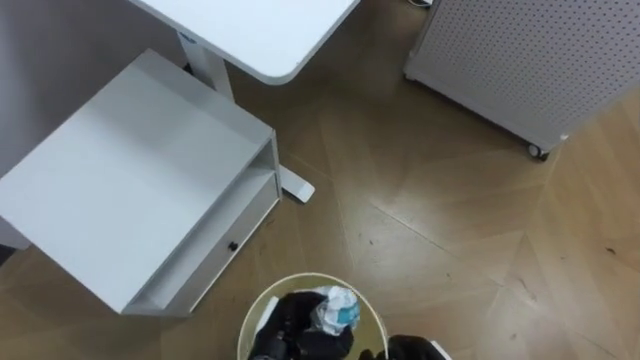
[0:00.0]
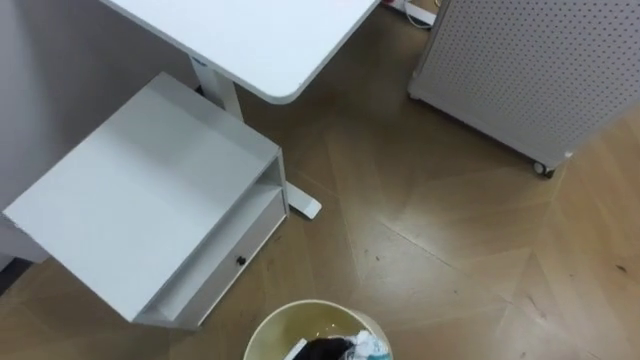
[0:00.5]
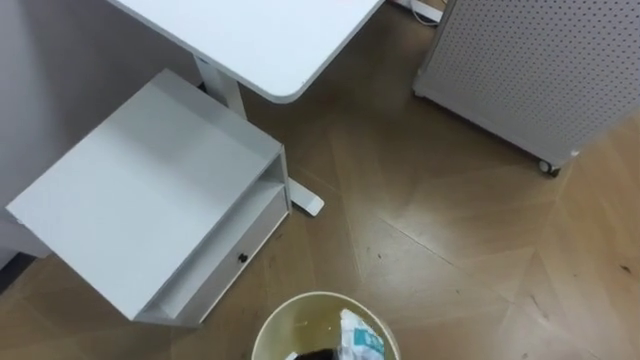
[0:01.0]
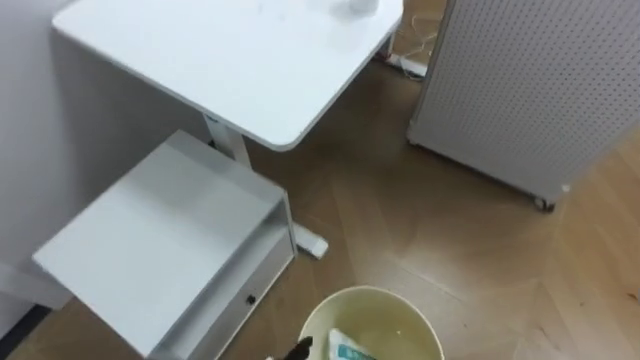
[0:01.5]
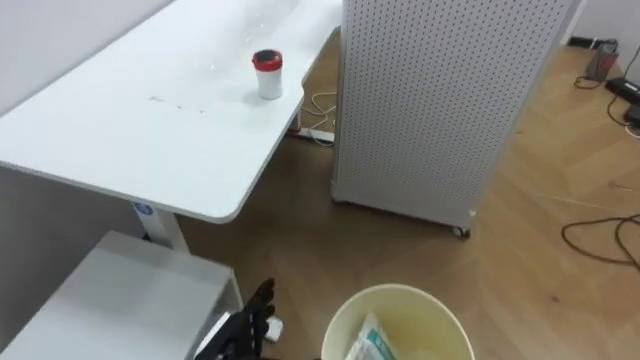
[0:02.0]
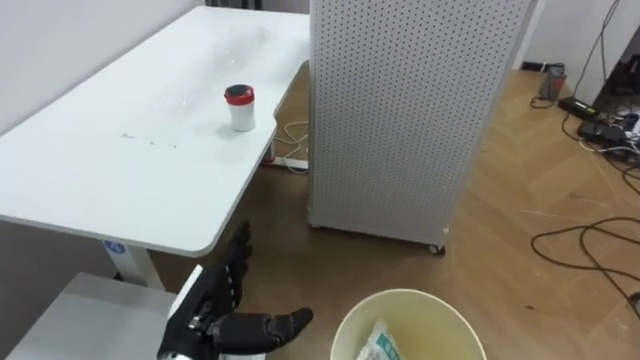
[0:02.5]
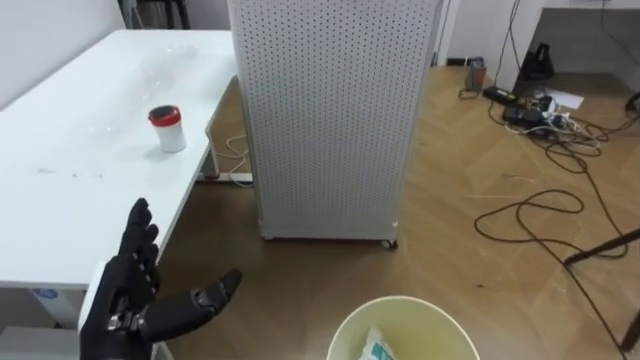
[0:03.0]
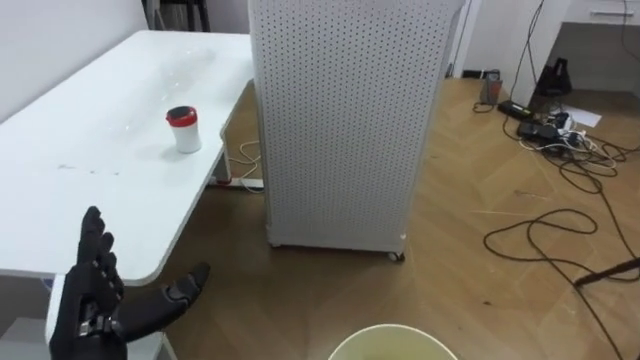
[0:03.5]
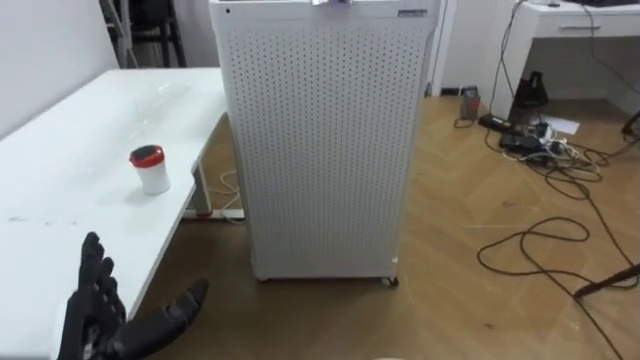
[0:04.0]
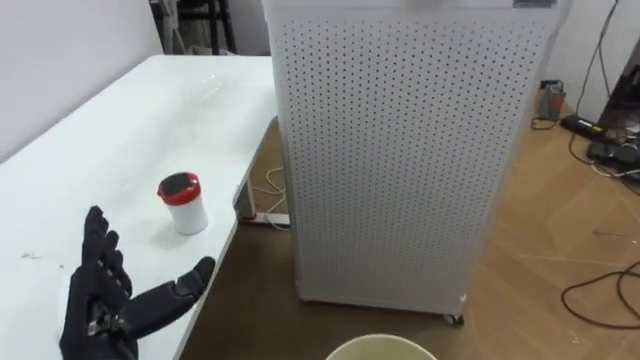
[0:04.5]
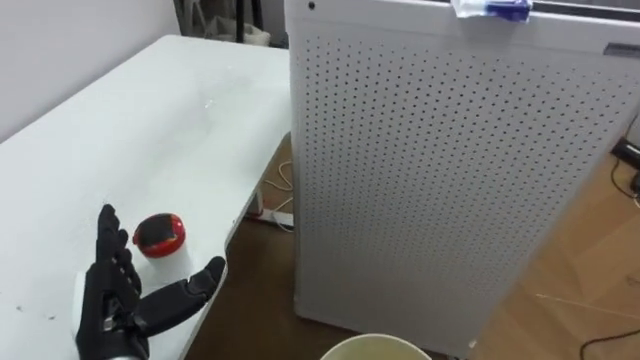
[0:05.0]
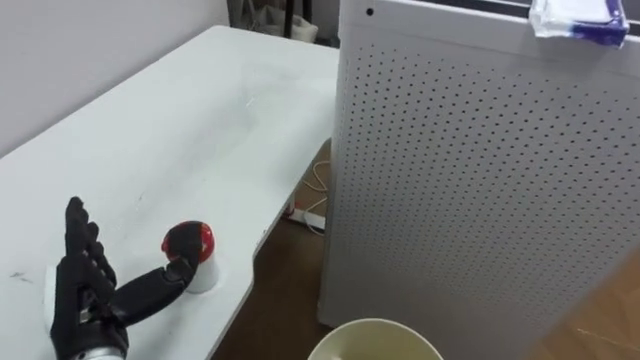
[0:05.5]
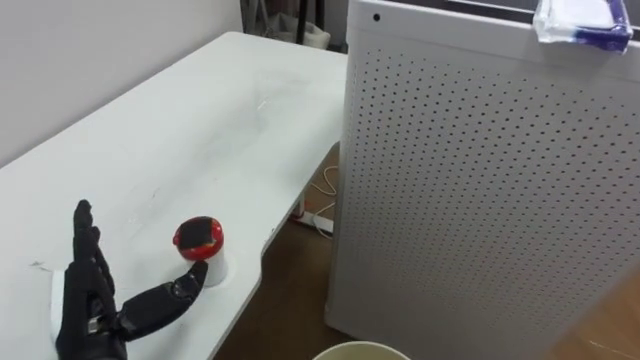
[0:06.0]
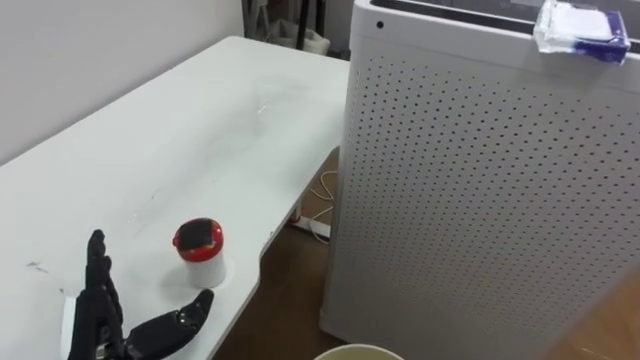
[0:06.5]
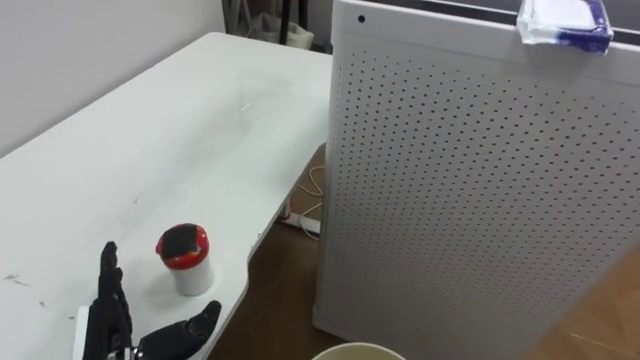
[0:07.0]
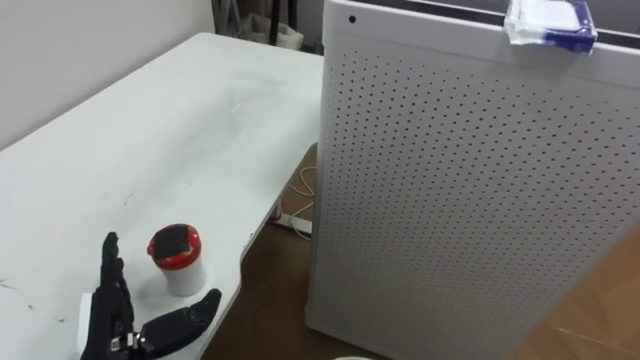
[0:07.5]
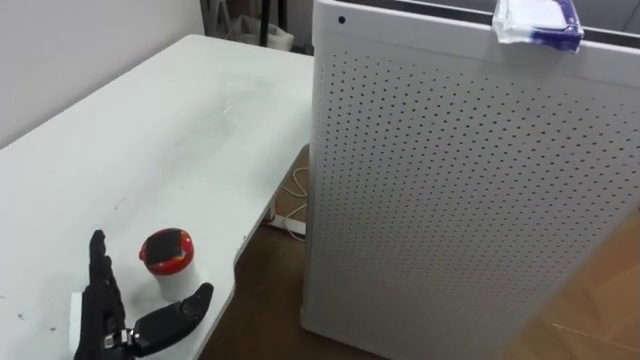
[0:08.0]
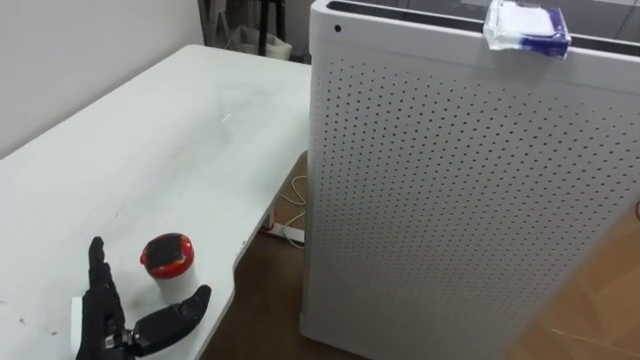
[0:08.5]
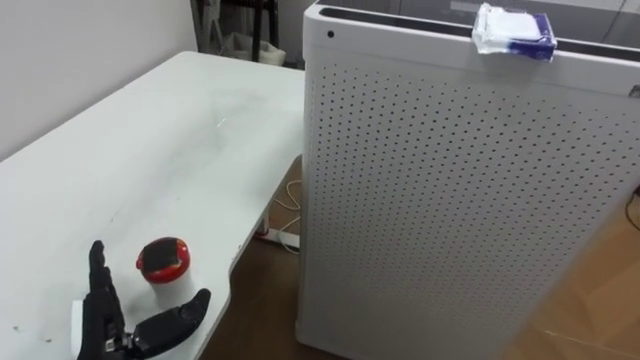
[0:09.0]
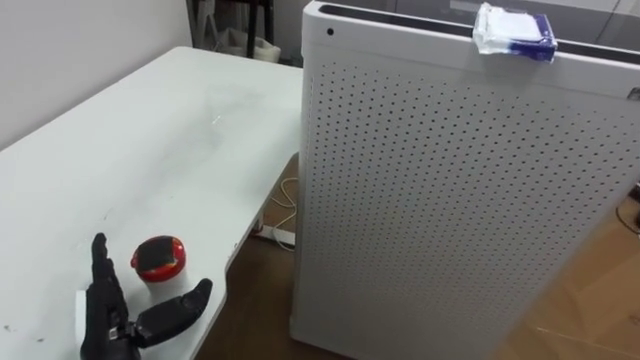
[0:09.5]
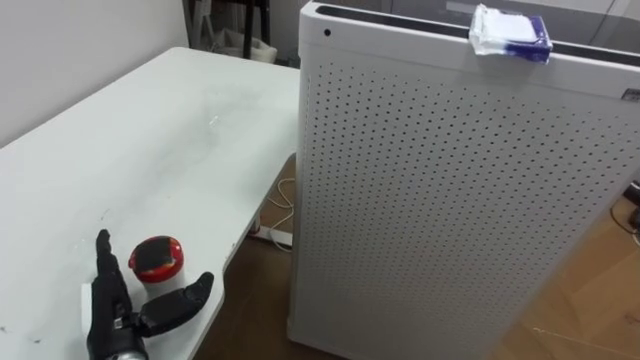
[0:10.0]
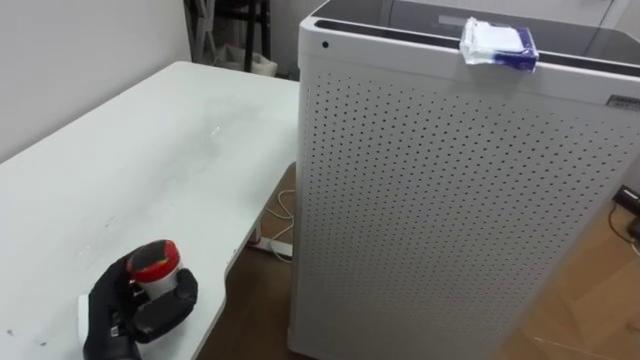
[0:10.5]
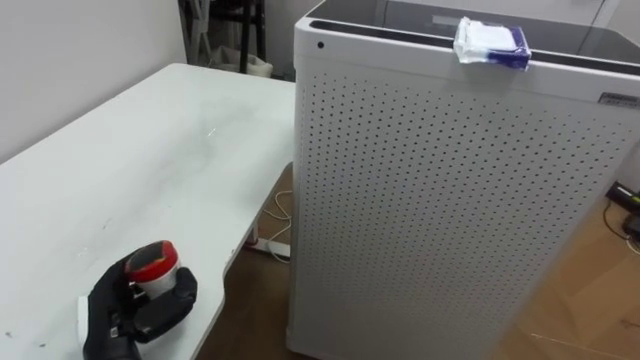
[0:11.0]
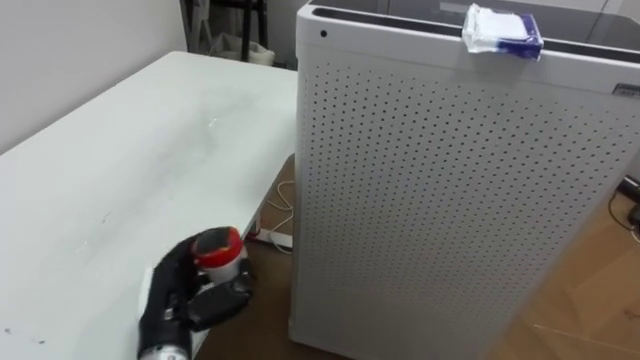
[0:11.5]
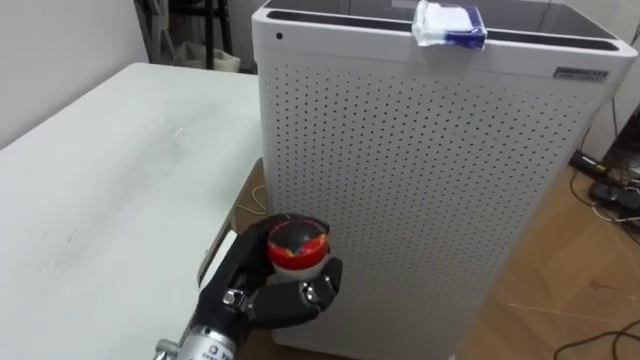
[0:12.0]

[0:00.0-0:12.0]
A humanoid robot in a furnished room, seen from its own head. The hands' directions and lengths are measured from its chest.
Task of the whole recording: Pick up the light blue package, the candy box, and the dark blue package separately, and put them into the trash can held in your right hand.
0:00.0 to 0:02.0: The robot rotates roughly 15 degrees to its right.
0:02.0 to 0:04.0: The left hand shifts approximately 15 cm to the left and upward.
0:04.0 to 0:06.0: The robot turns to its left by about 20 degrees.
0:10.0 to 0:12.0: The left hand heads to the right and upward, covering about 15 cm, and closes.

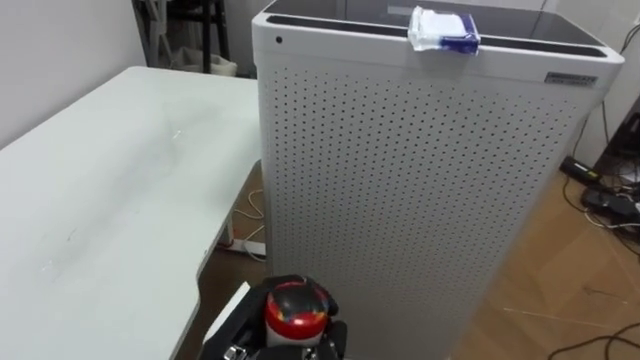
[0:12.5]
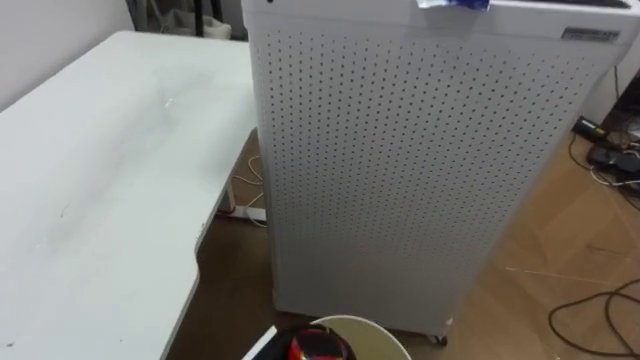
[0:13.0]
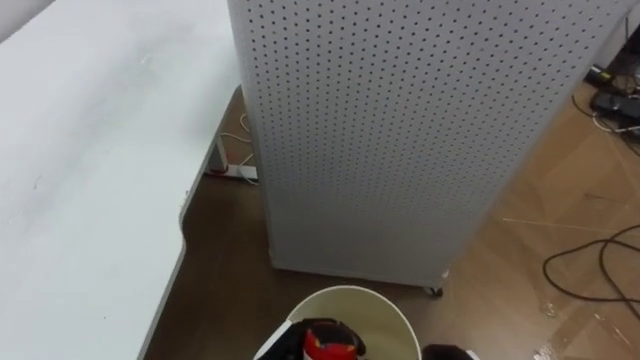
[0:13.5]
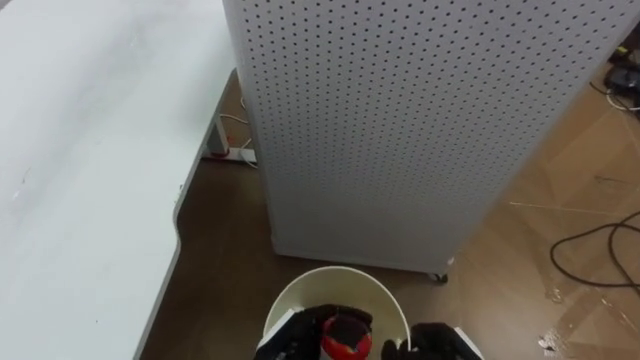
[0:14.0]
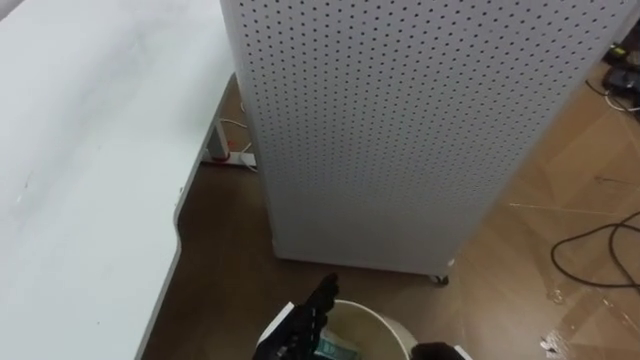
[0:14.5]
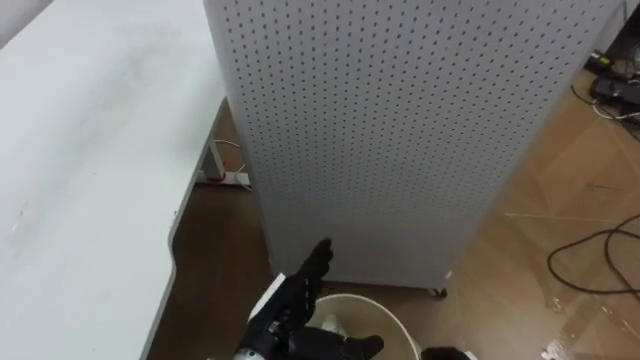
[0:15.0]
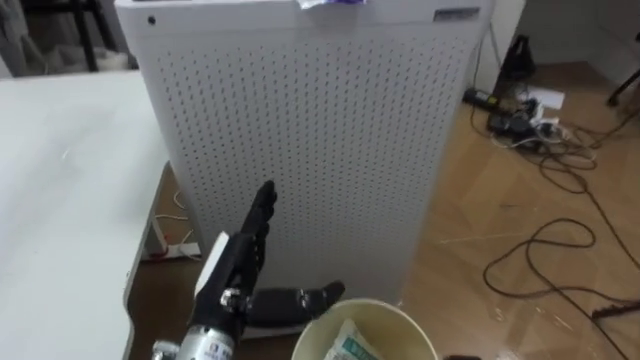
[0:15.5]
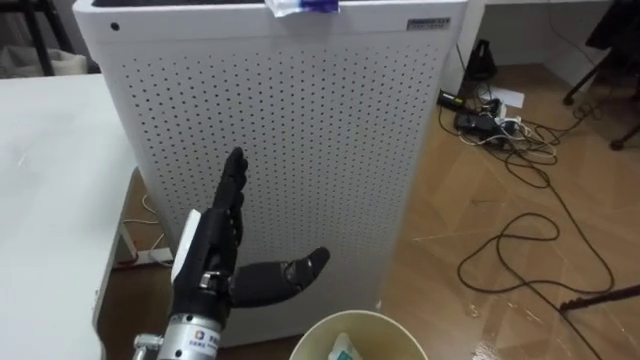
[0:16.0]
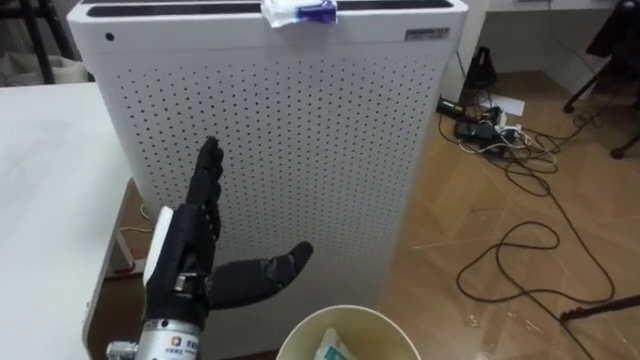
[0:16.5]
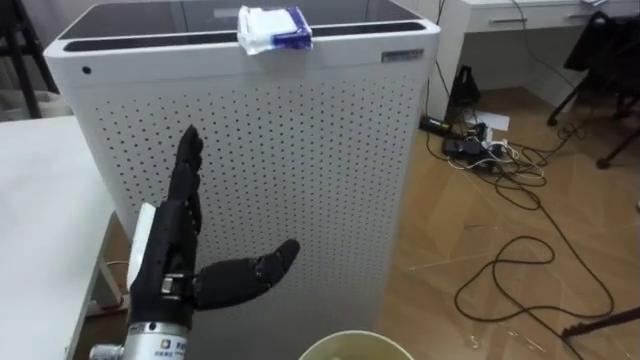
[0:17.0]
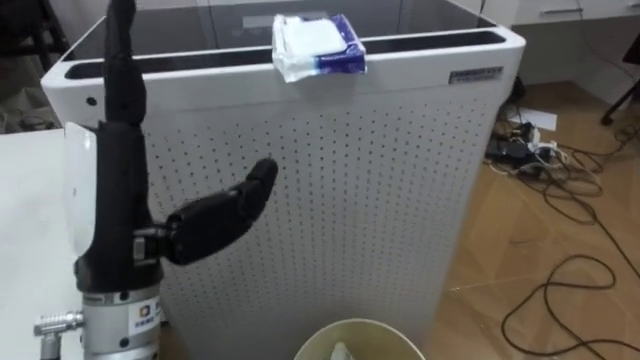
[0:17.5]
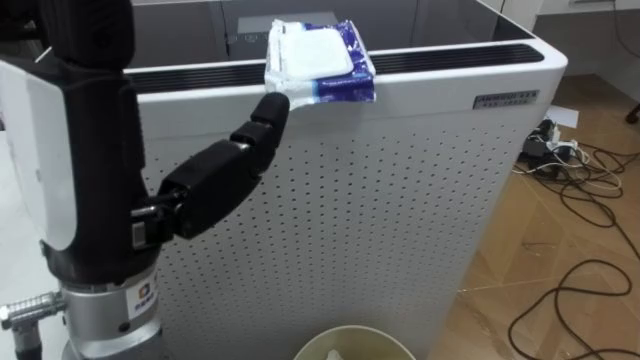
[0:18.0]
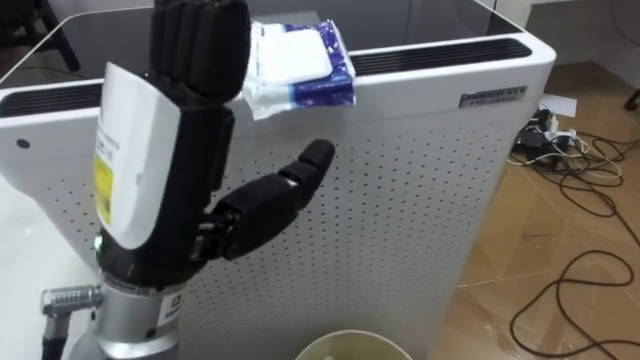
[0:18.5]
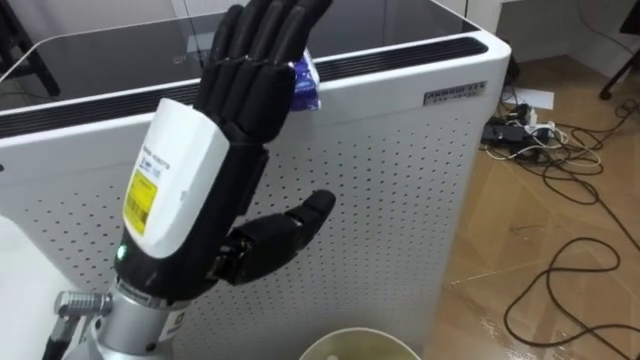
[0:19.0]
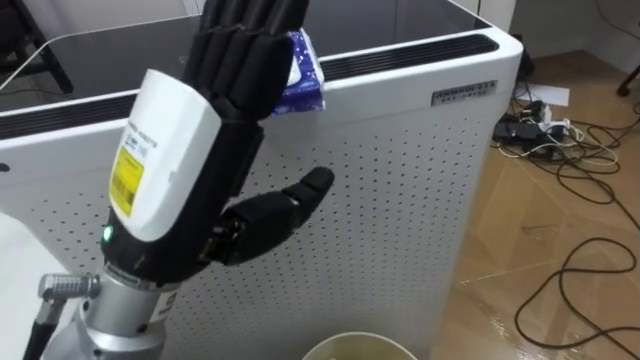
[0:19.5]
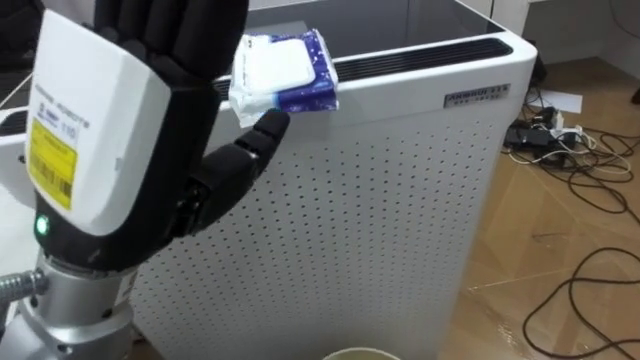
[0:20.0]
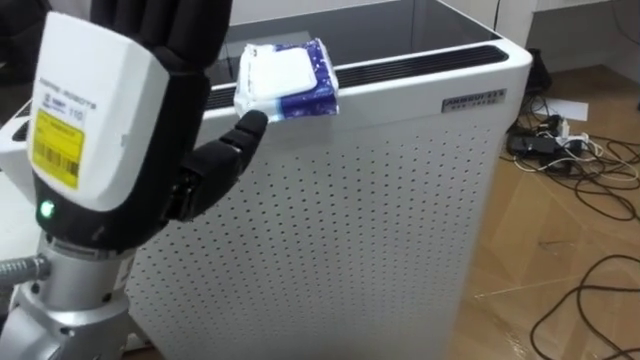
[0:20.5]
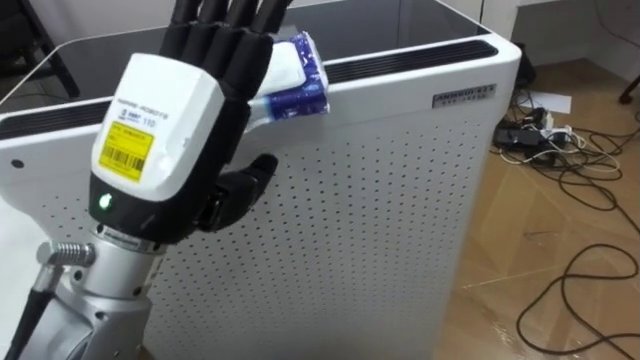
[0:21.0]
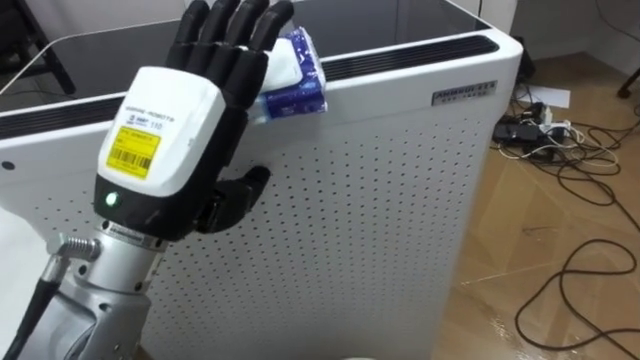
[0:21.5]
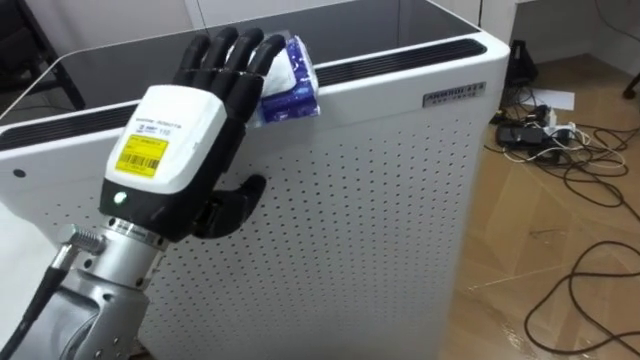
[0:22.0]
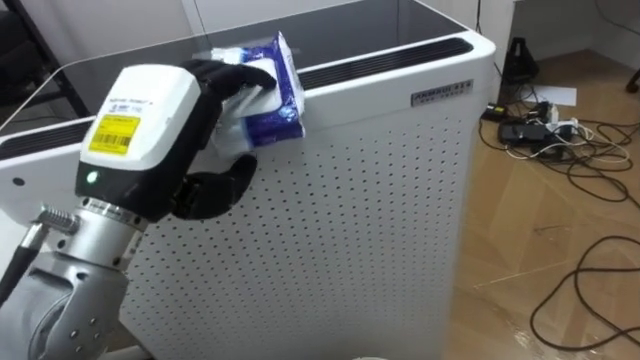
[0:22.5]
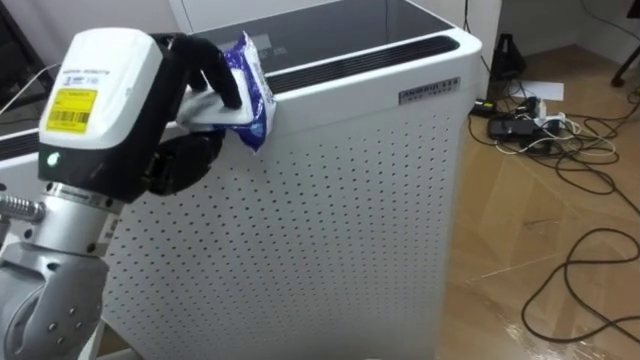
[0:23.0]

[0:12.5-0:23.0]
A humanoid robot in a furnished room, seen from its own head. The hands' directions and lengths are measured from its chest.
Task of the whole recording: Pick up the light blue package, the candy box, and the dark blue package separately, and put them into the trash can held in your right hand.
0:14.5 to 0:16.5: The robot faces some 20 degrees further to its right. The left hand is displaced upward and to the left by approximately 20 cm.
0:16.5 to 0:19.0: The left hand is displaced upward by about 15 cm.
0:21.0 to 0:23.0: The left hand closes.
